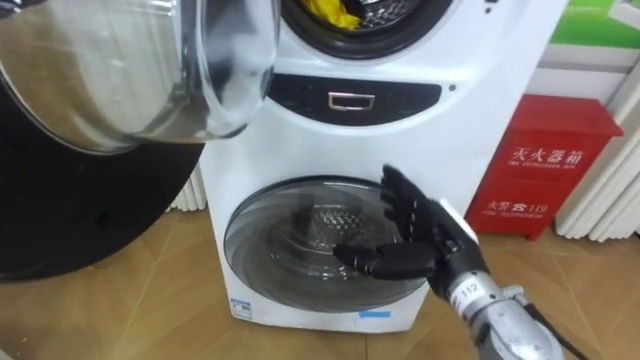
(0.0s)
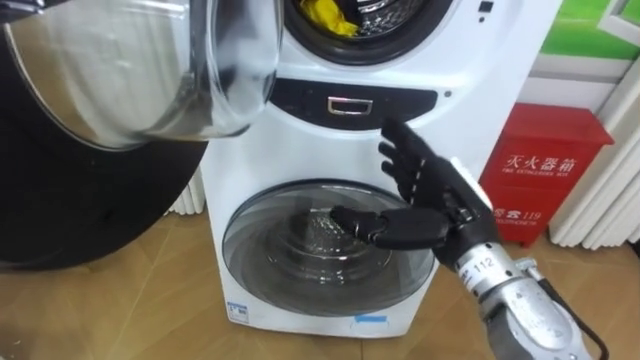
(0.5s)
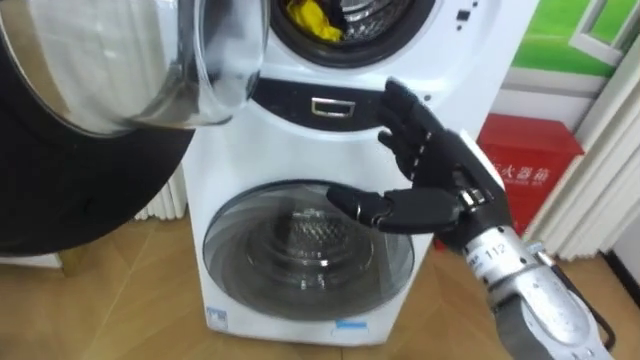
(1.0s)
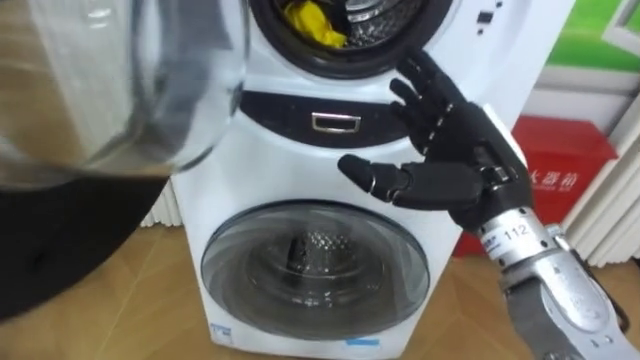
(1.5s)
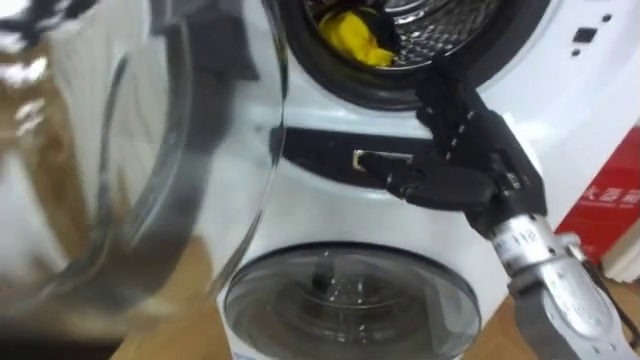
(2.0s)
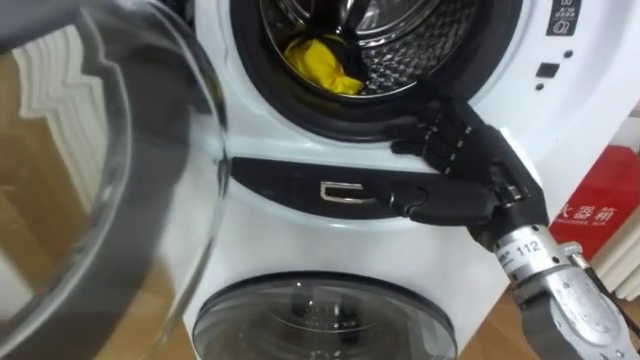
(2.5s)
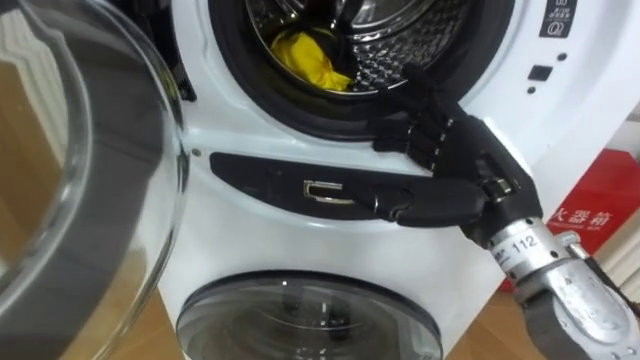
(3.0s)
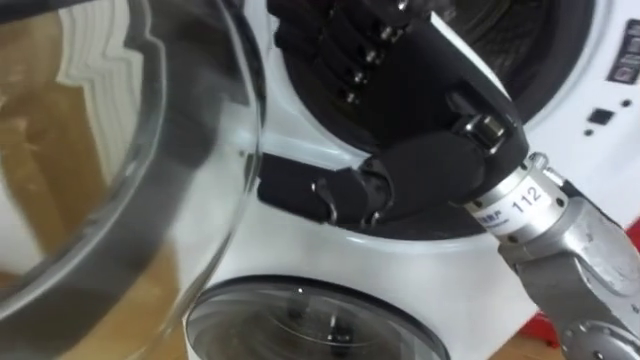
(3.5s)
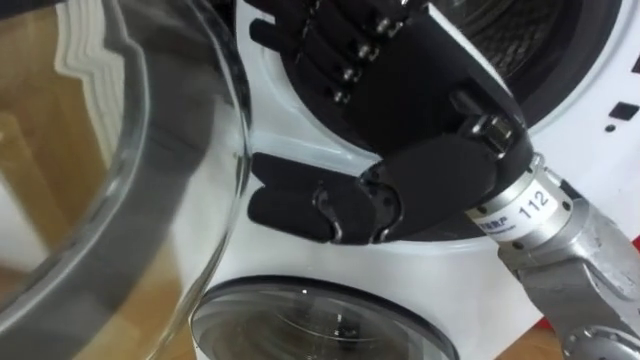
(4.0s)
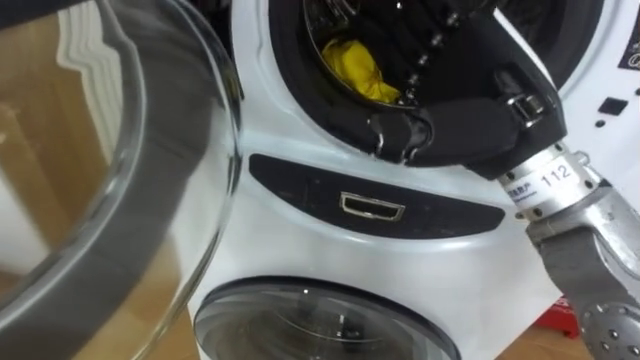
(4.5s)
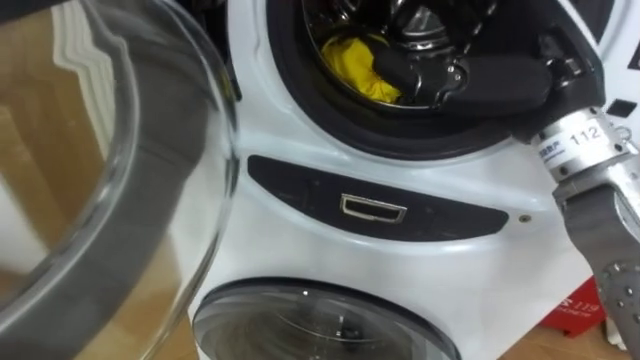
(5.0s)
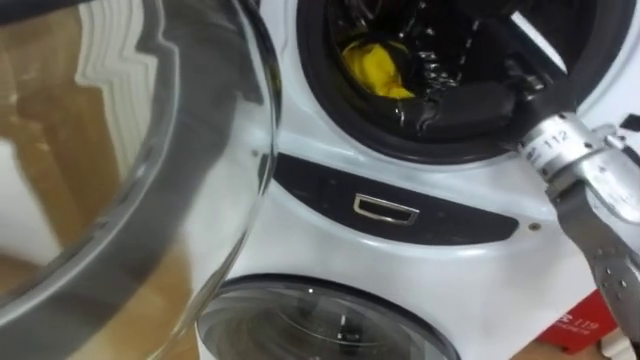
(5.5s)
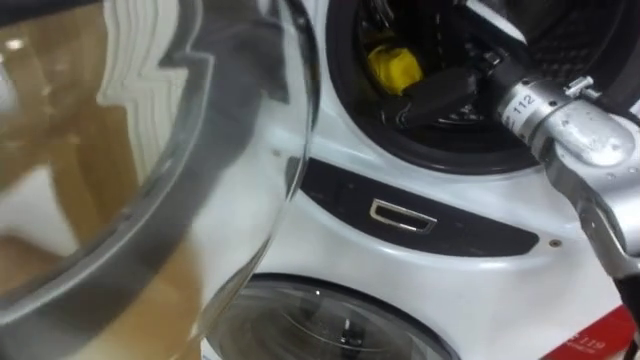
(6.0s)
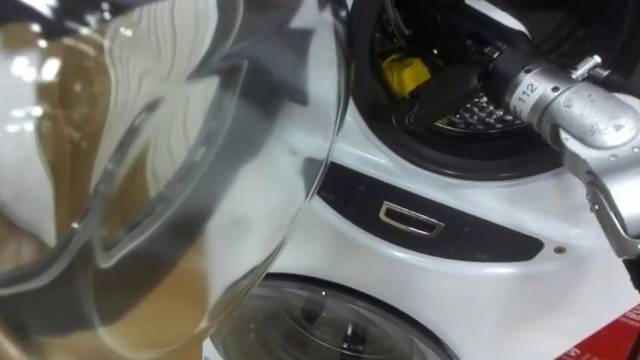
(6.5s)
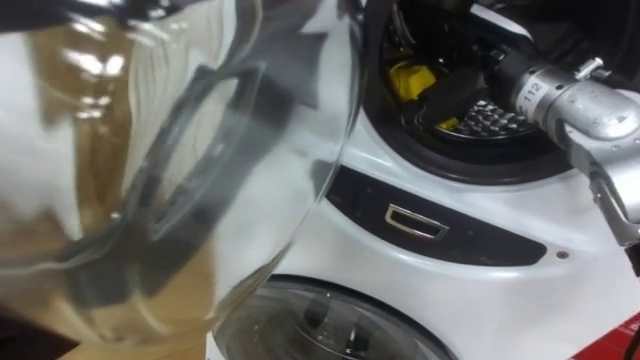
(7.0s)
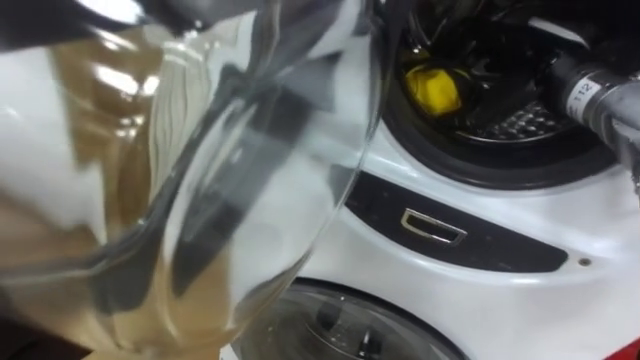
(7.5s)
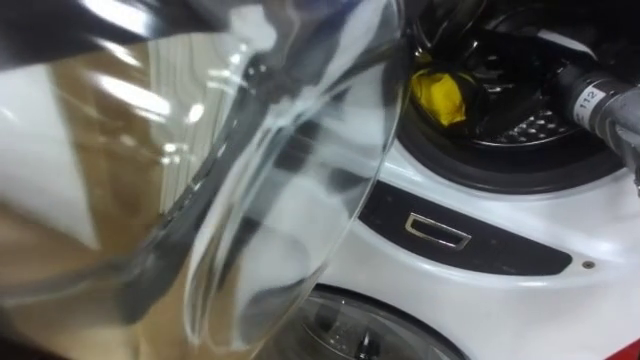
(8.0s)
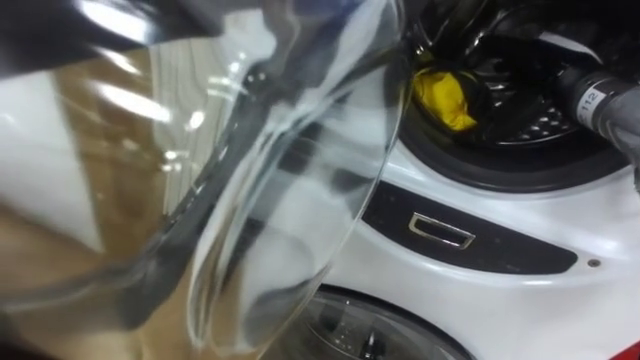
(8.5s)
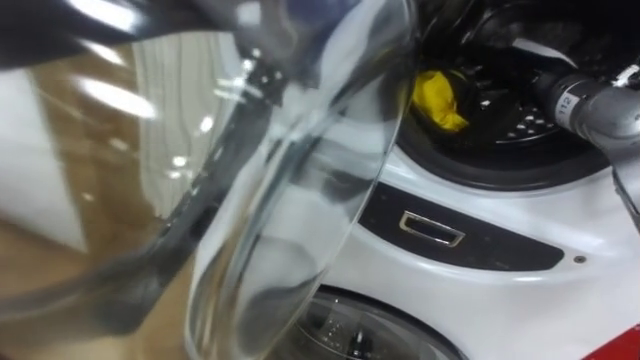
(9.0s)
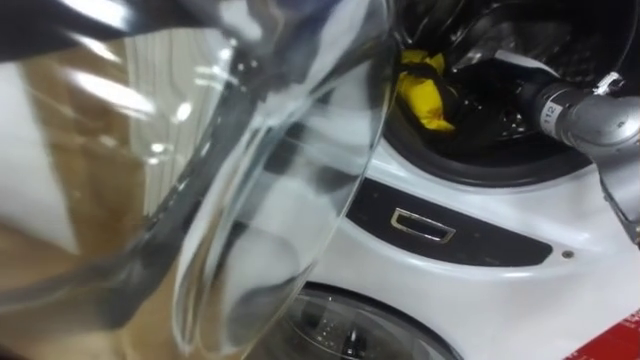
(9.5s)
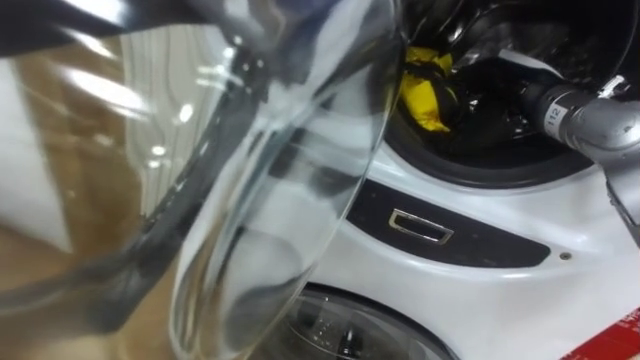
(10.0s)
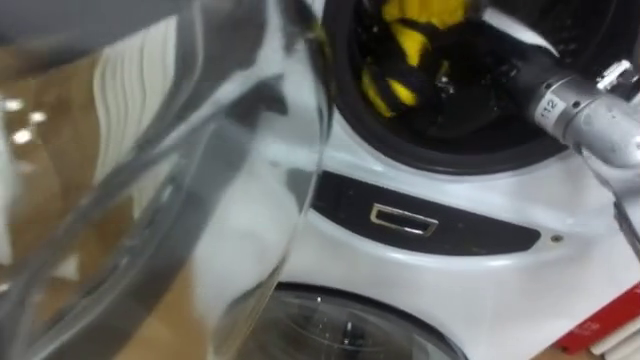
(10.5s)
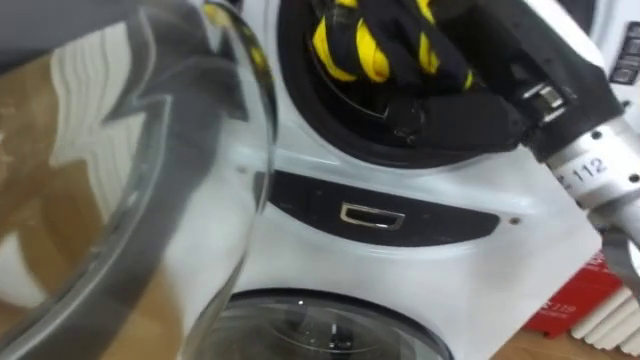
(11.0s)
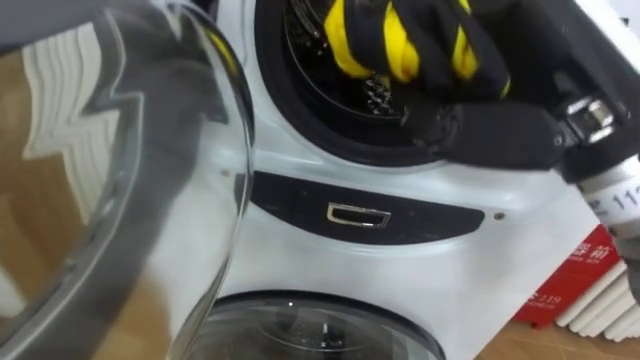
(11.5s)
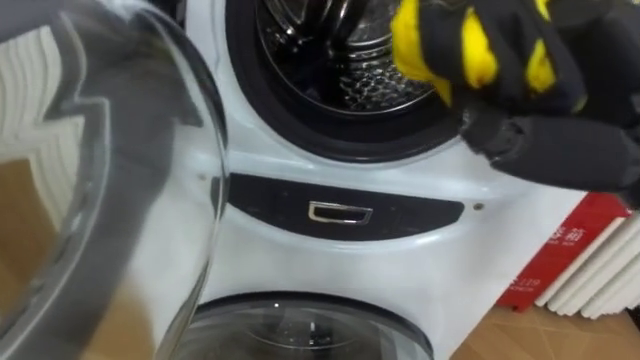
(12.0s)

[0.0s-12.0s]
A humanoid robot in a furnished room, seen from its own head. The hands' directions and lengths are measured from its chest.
Task of the whole recording: Open the washing machine door, take out the yellow clothes, place them in the box on the right, and close the washing machine door.
0.0s to 2.0s: The right hand heads upward, covering some 10 cm.
2.0s to 4.0s: The right hand shifts some 15 cm upward, to the left and backward.
4.0s to 6.0s: The right hand heads forward and to the right, covering some 15 cm.
6.0s to 8.0s: The right hand travels to the right by approximately 10 cm.
8.0s to 10.0s: The right hand closes its fingers.
10.0s to 12.0s: The right hand goes approximately 20 cm backward and upward.

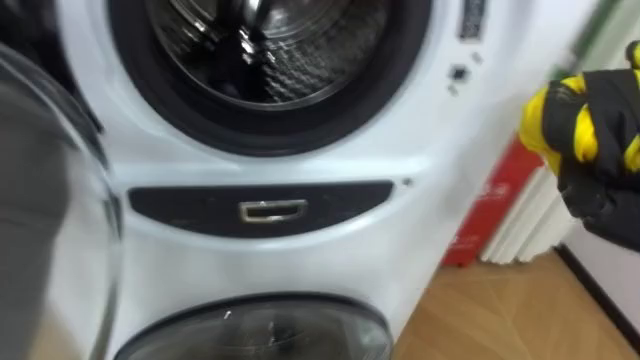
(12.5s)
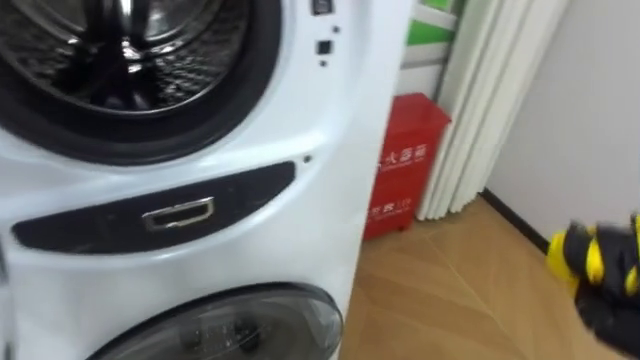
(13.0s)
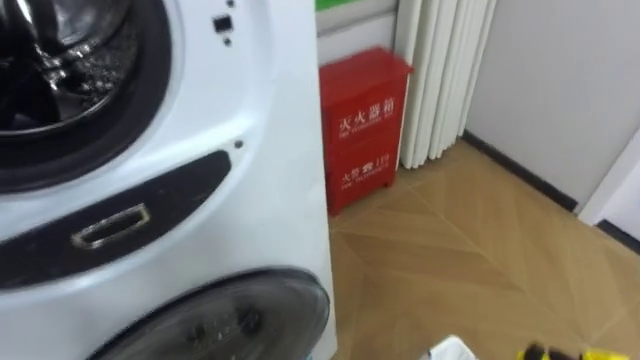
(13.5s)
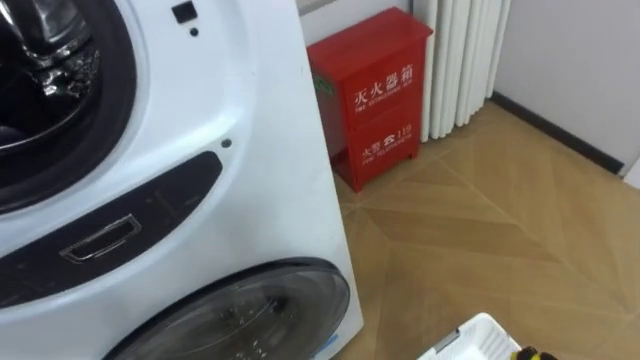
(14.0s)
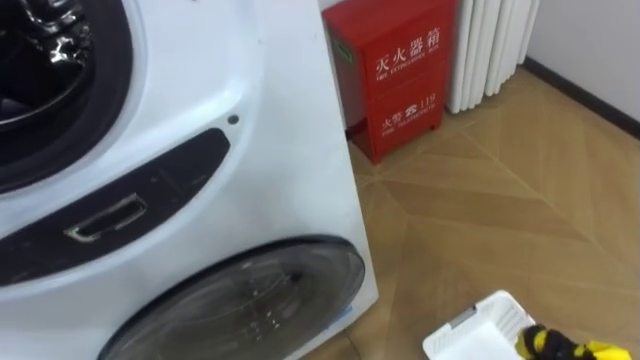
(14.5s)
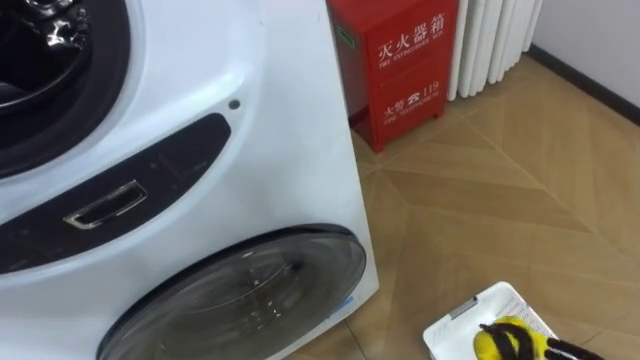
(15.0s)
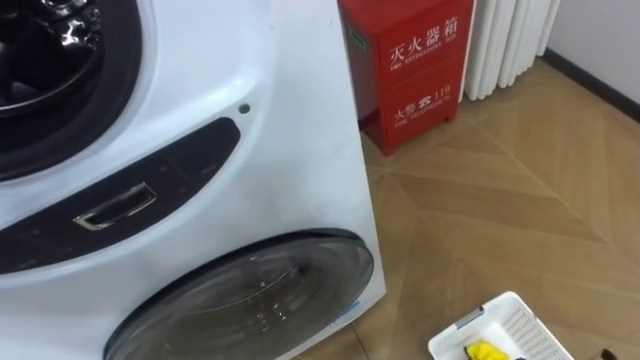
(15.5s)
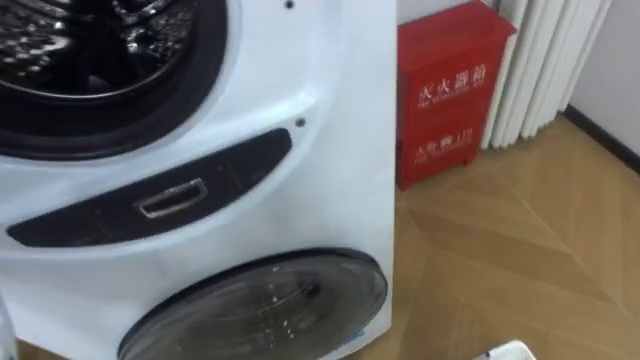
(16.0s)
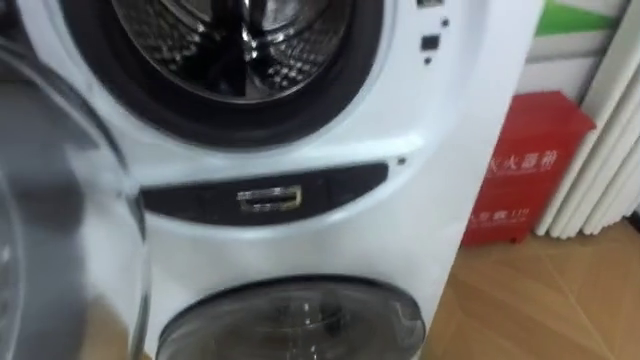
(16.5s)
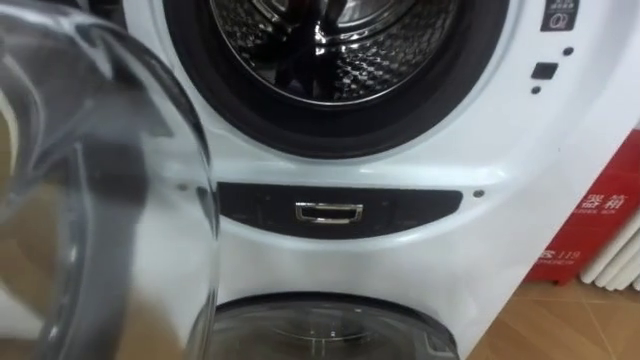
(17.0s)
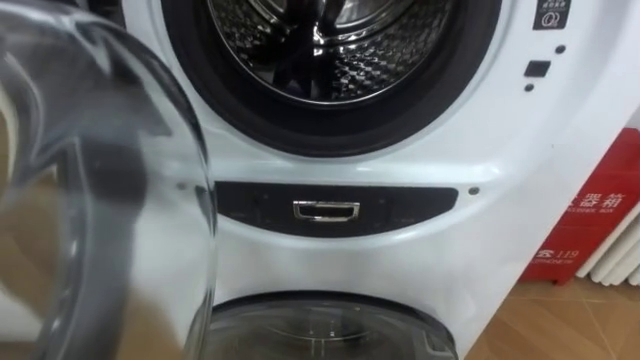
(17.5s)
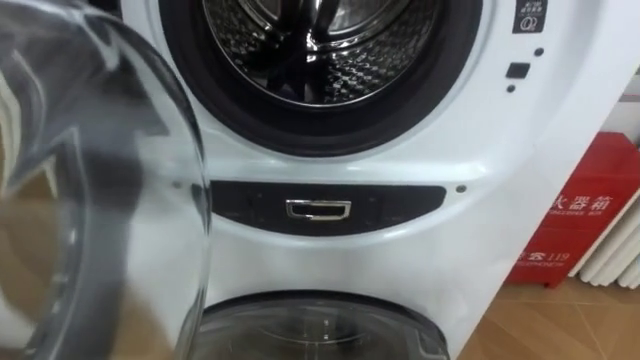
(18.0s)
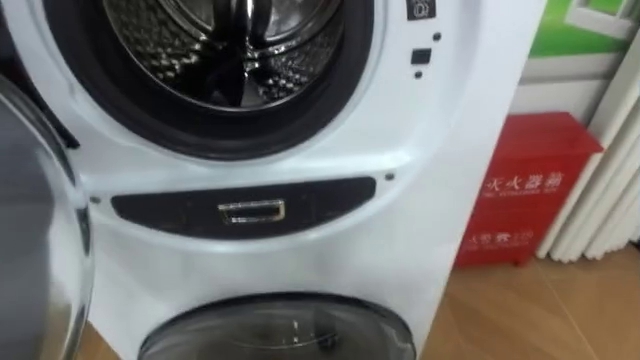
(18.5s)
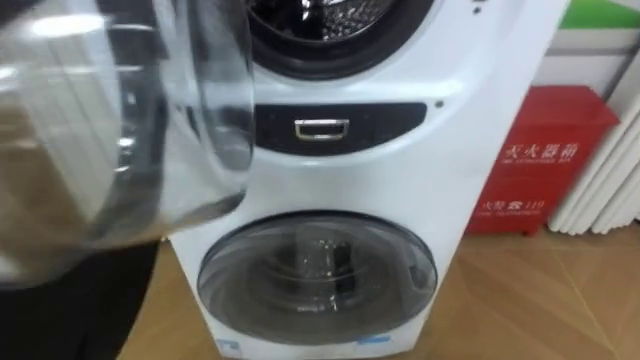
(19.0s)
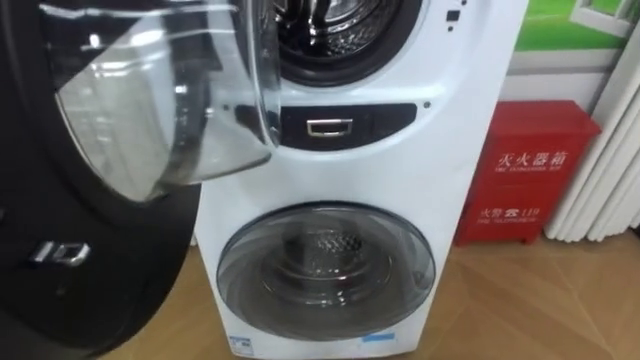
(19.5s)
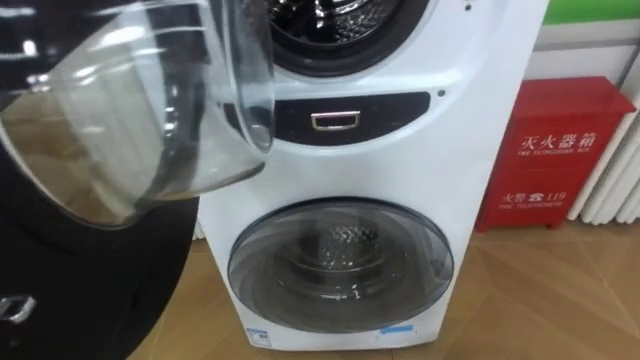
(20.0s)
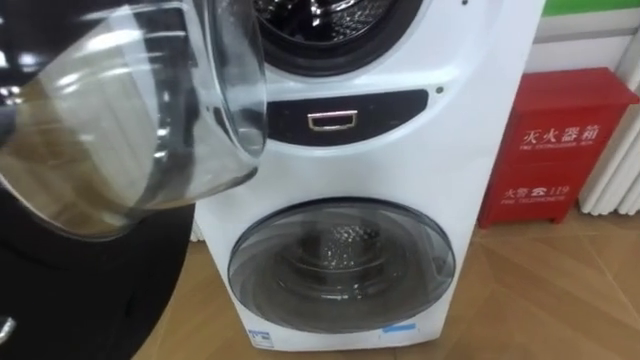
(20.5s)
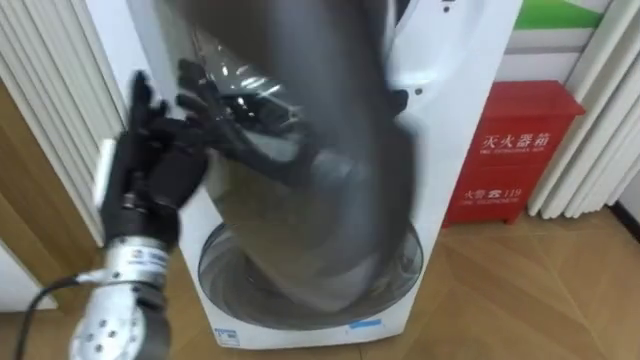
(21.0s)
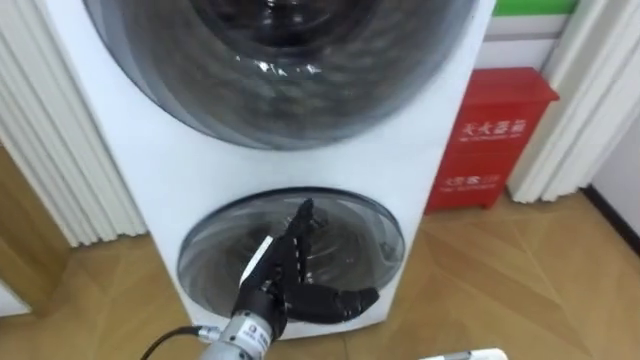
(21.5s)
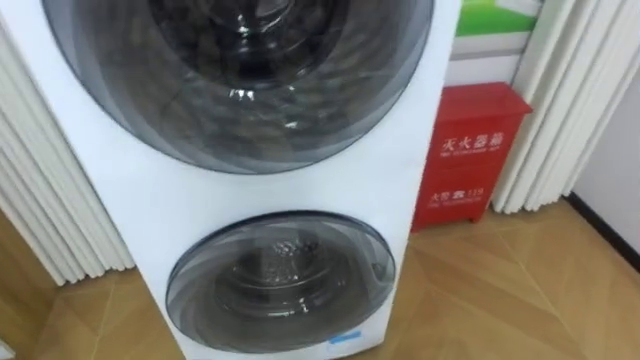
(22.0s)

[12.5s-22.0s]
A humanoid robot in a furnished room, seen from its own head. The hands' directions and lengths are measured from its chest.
Task of the whole recording: Open the washing machine door, take out the yellow clothes, place them in the box on the right, and close the washing machine door.
14.5s to 16.5s: The robot's body swings some 15 degrees to its left.
